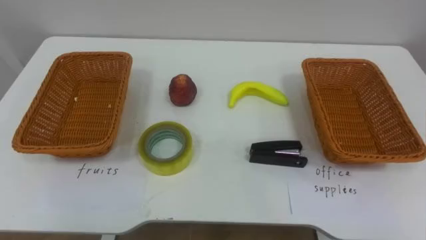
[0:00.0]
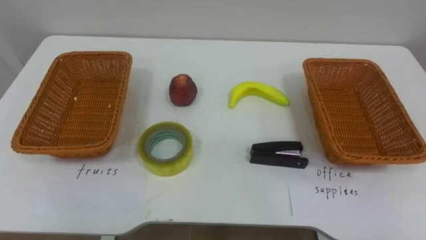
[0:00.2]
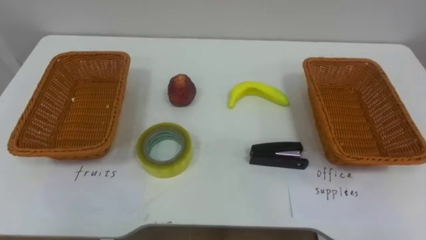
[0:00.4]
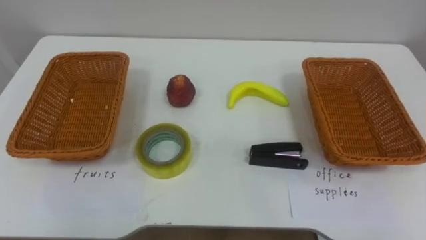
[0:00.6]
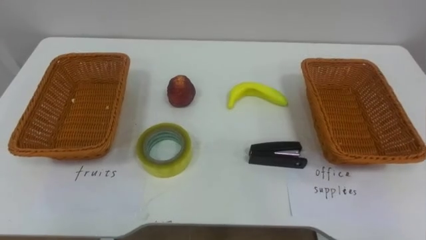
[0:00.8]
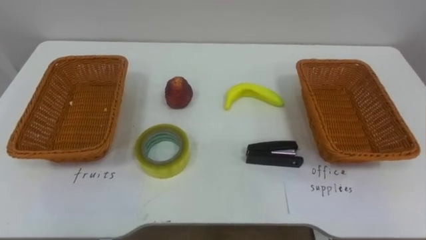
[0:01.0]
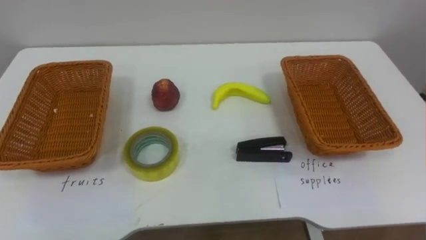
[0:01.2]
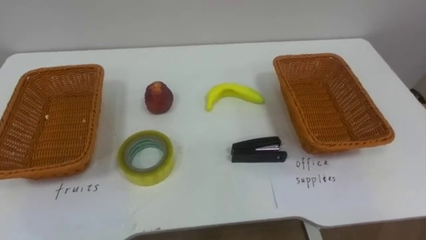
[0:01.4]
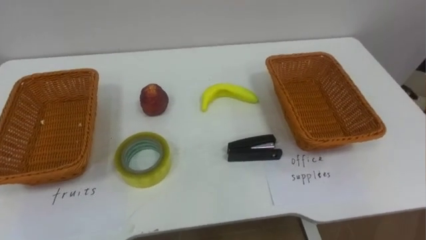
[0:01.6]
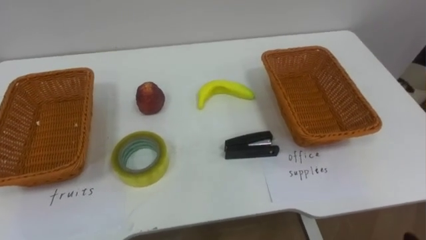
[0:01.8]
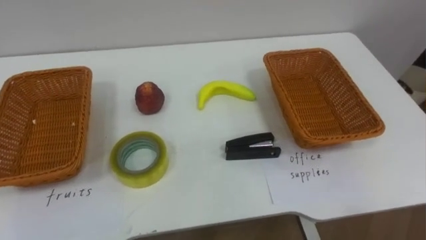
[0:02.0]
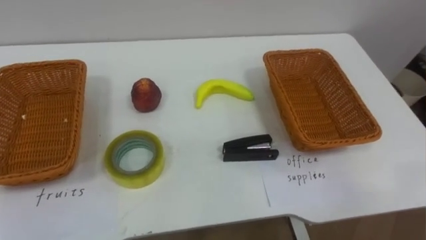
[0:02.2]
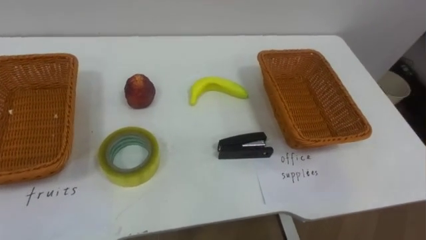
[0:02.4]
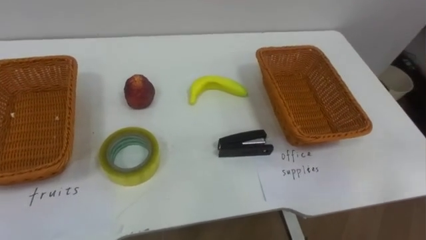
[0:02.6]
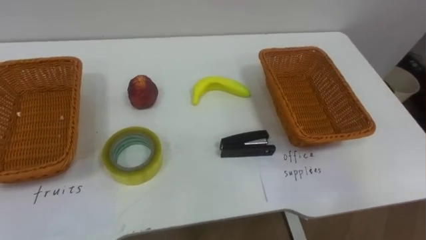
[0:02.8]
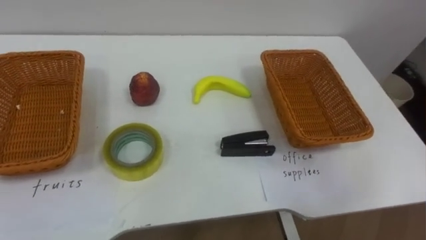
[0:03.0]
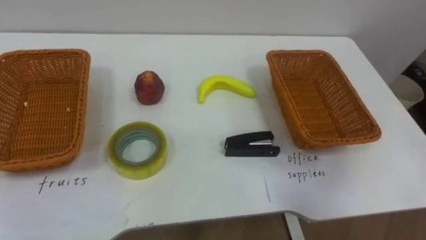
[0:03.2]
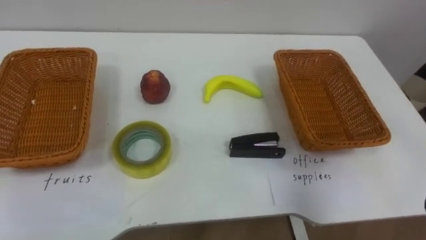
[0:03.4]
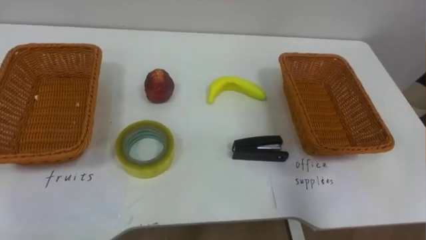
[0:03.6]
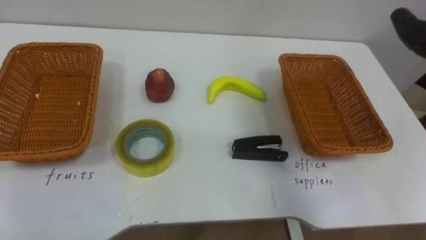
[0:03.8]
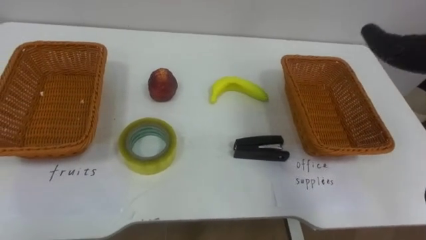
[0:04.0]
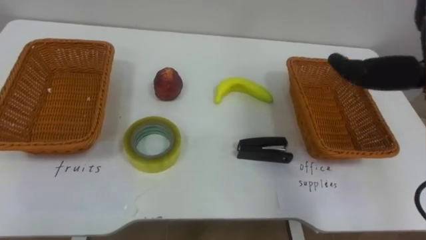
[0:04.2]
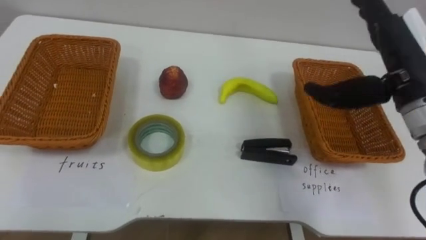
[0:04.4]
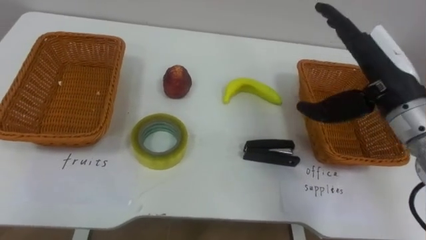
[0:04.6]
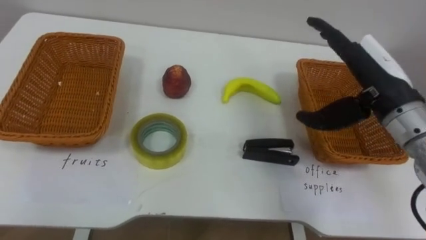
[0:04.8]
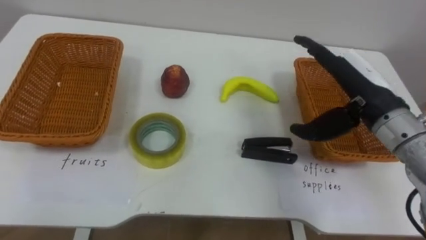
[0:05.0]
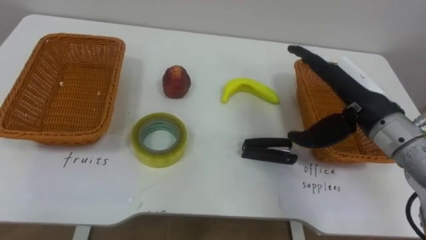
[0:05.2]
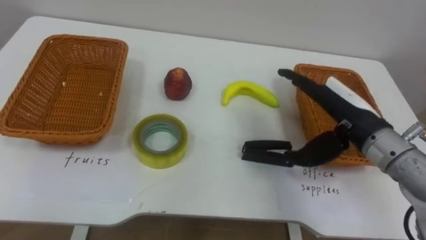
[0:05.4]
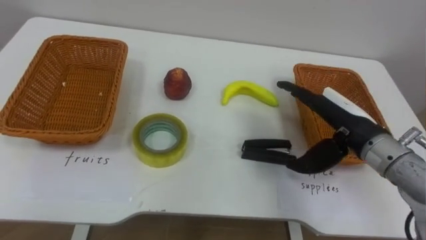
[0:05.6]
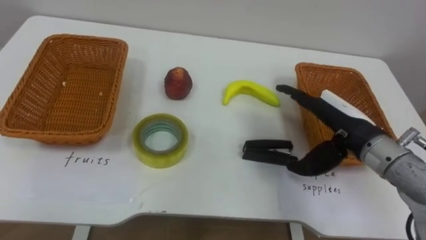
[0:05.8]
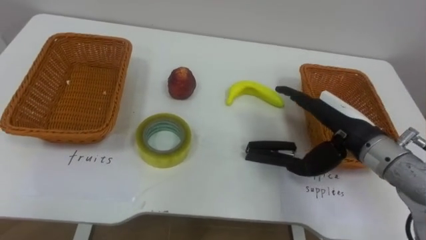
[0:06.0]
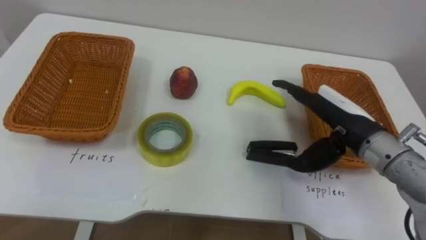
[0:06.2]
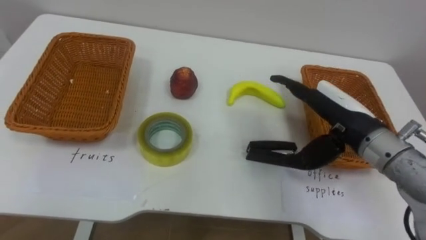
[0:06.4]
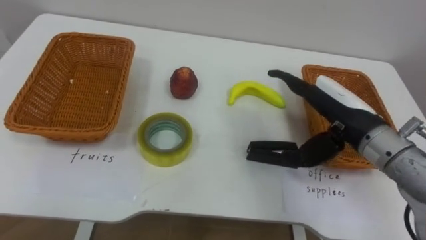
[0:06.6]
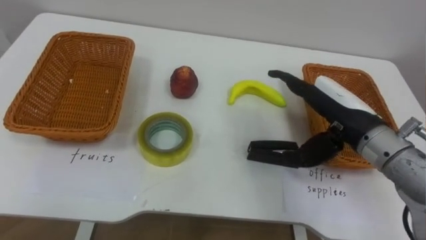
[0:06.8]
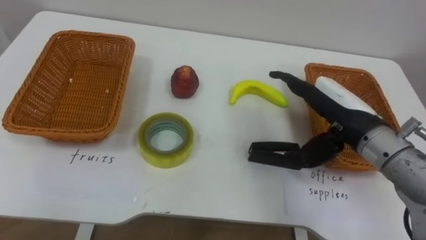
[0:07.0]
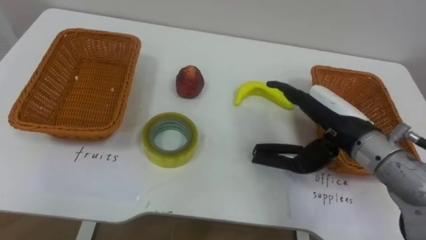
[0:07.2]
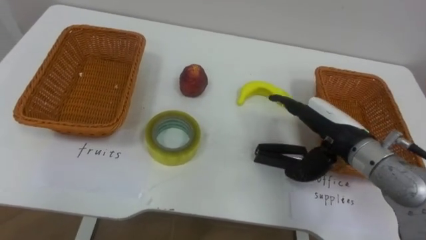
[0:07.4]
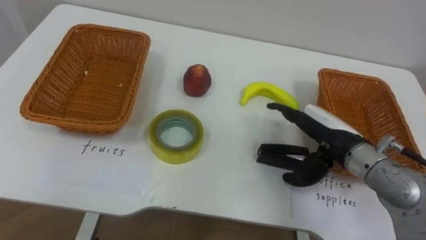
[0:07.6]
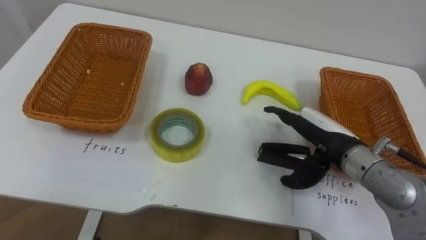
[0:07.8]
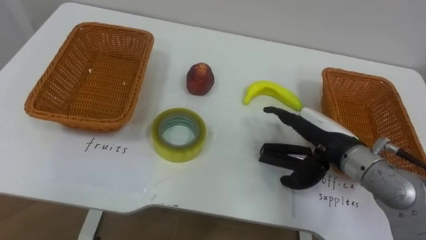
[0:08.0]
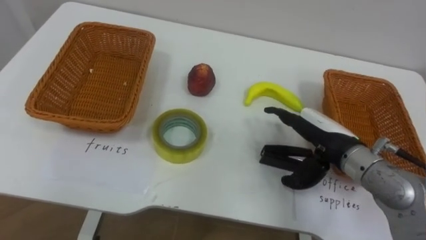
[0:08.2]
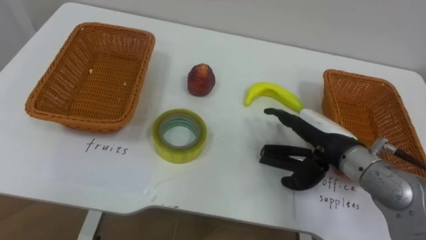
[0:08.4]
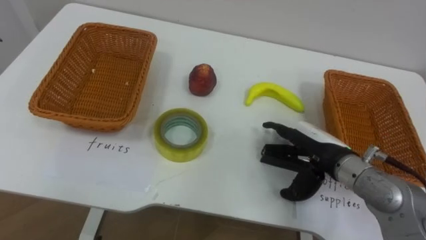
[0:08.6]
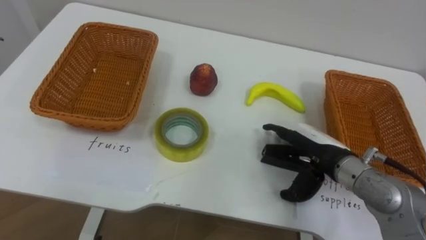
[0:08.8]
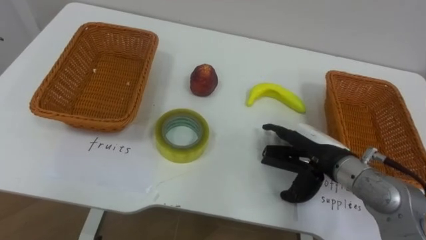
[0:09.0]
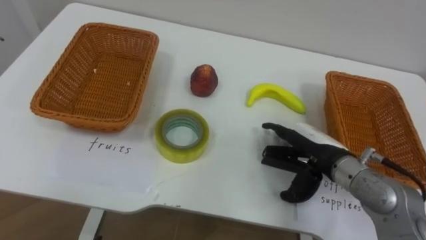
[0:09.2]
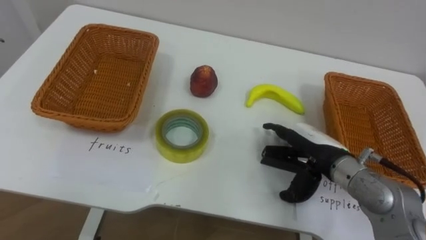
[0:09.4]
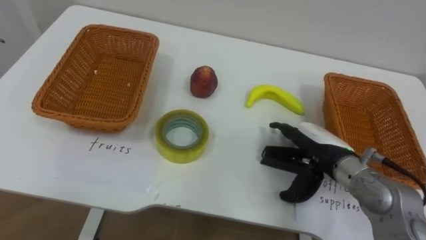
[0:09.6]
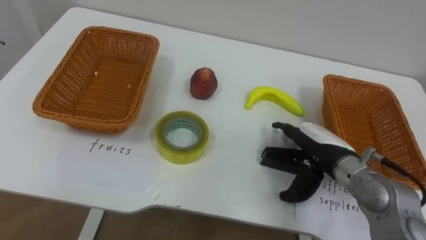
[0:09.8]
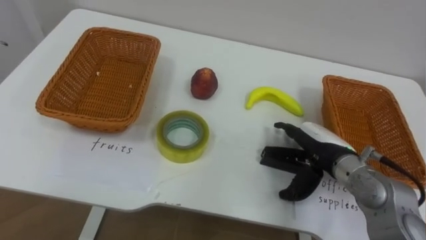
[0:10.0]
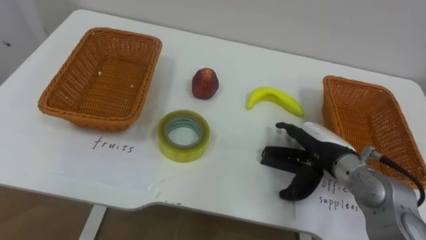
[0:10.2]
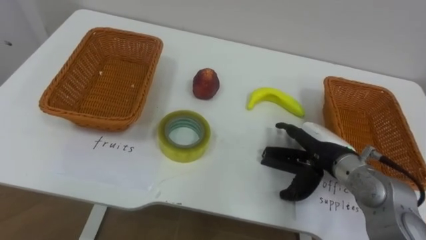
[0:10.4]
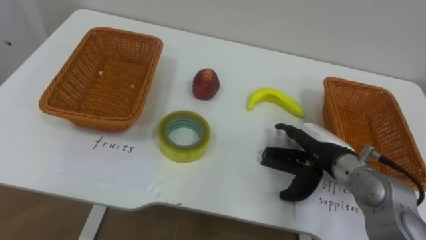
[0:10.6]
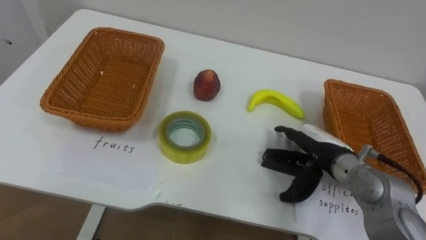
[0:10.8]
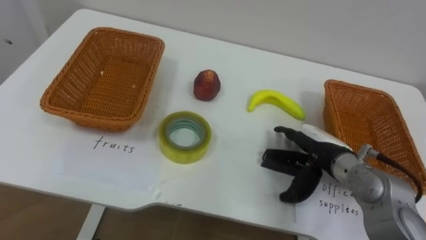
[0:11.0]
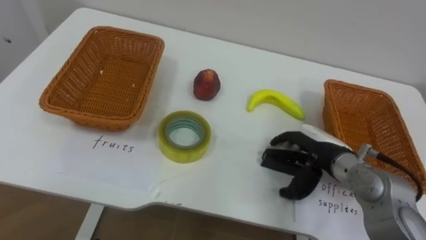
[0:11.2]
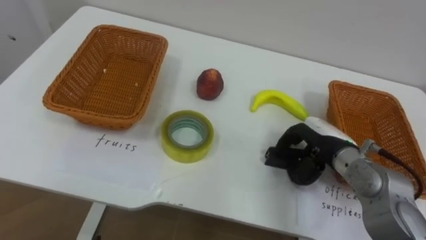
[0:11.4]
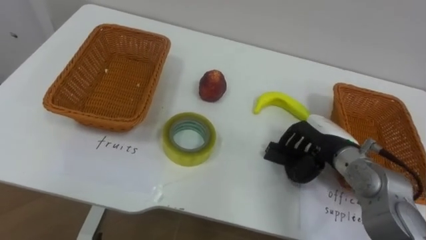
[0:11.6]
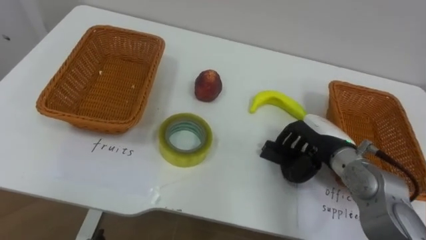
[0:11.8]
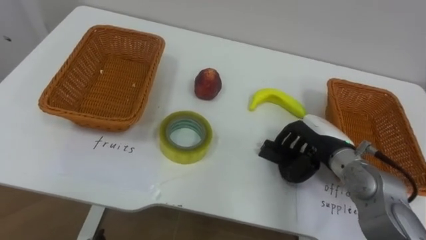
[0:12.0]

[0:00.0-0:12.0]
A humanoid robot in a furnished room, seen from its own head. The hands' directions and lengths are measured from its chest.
Task of the whole recording: Separate the items on the table and place them into the two baskets.
0:04.4 to 0:06.0: The right hand heads downward, covering approximately 10 cm.
0:10.4 to 0:12.0: The right hand closes up.

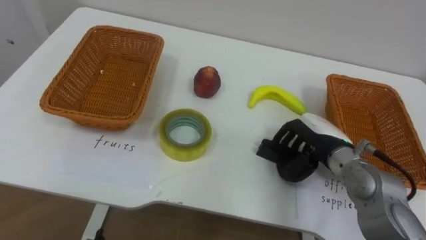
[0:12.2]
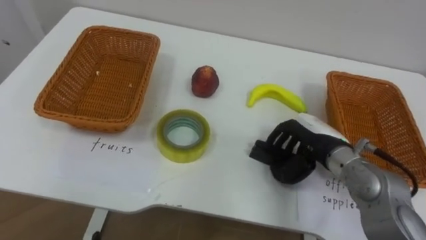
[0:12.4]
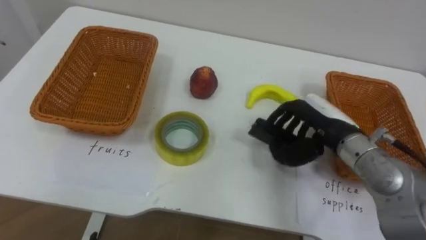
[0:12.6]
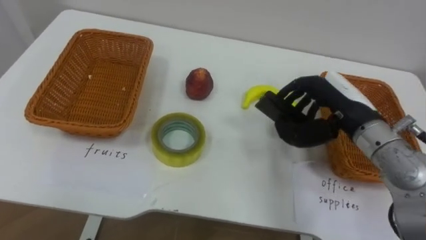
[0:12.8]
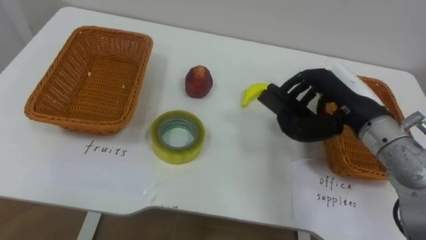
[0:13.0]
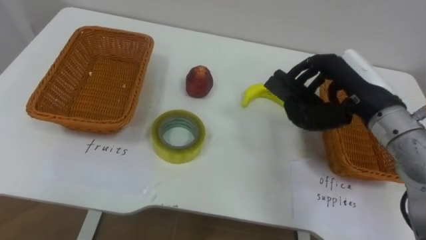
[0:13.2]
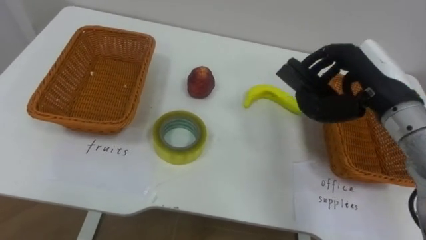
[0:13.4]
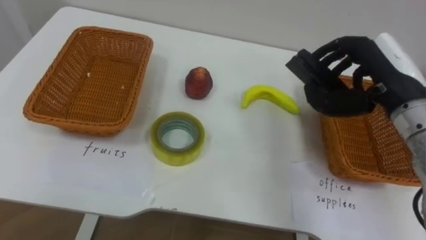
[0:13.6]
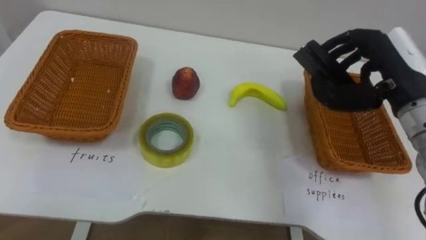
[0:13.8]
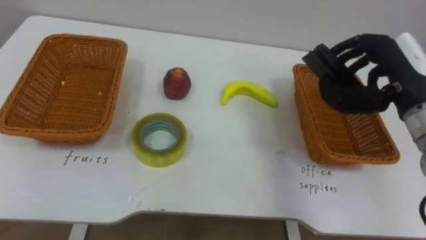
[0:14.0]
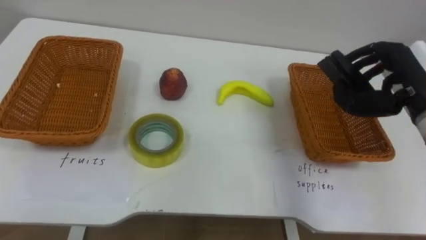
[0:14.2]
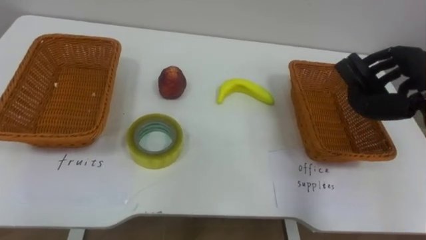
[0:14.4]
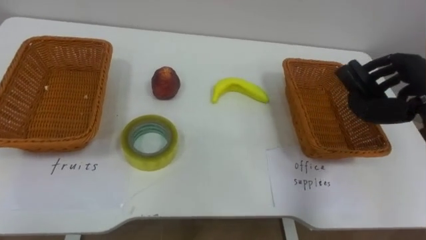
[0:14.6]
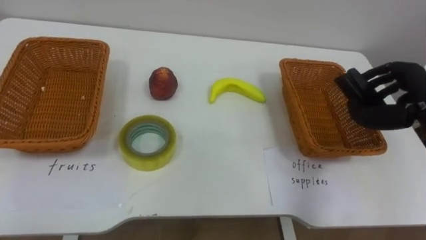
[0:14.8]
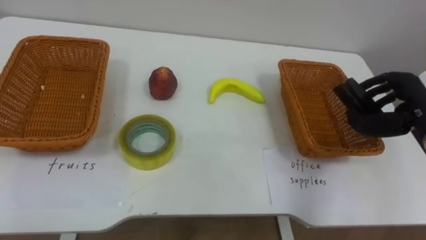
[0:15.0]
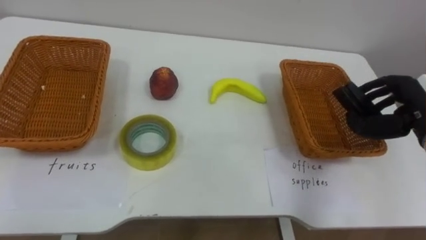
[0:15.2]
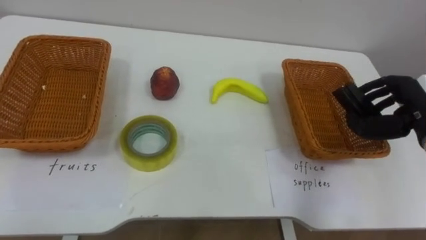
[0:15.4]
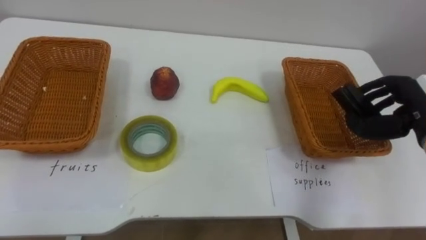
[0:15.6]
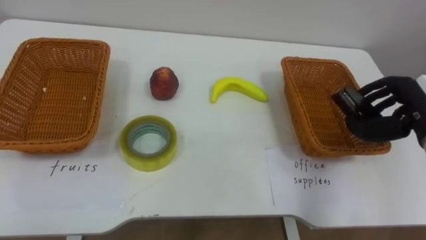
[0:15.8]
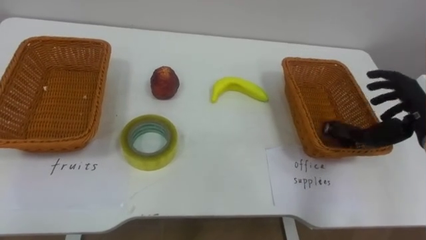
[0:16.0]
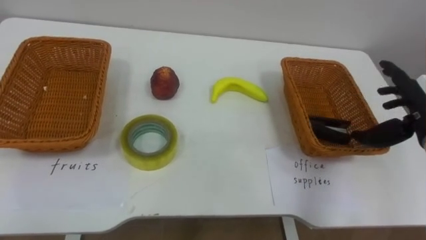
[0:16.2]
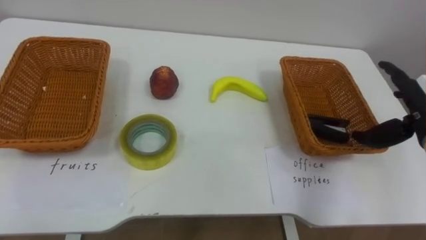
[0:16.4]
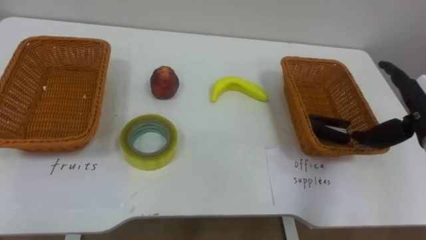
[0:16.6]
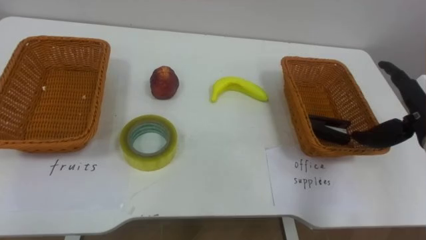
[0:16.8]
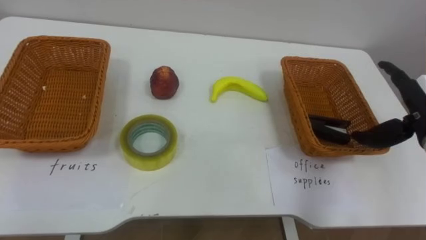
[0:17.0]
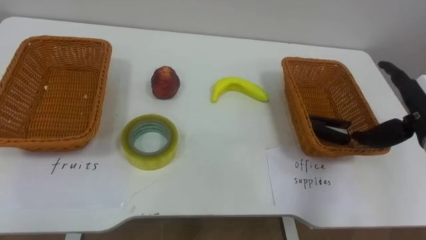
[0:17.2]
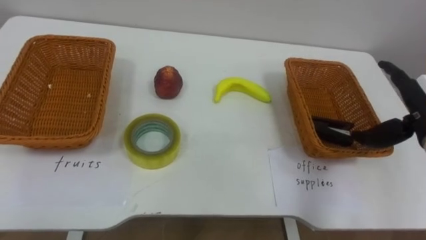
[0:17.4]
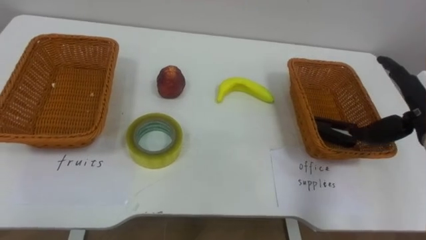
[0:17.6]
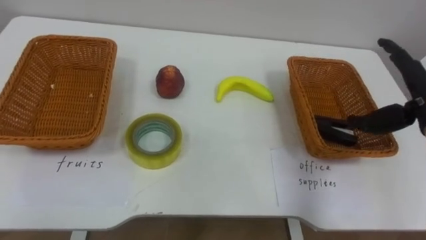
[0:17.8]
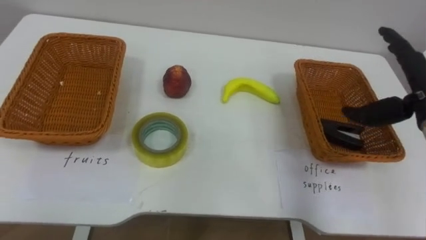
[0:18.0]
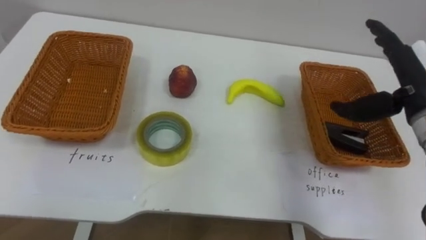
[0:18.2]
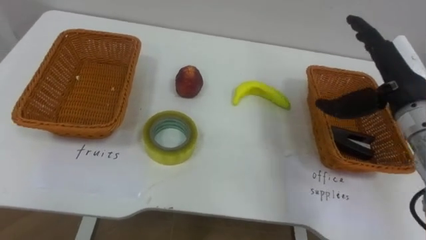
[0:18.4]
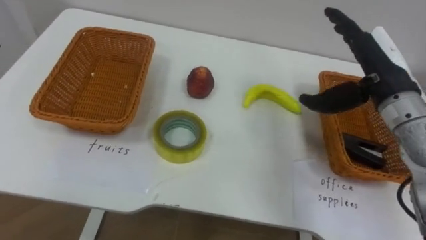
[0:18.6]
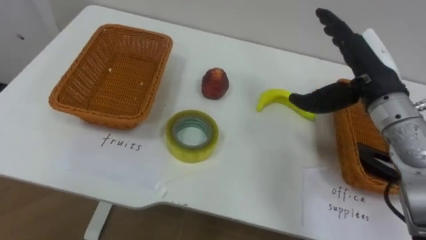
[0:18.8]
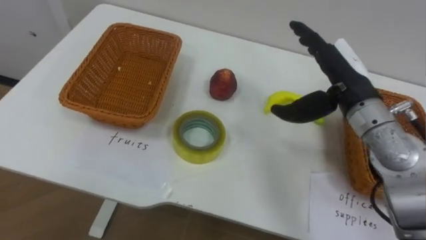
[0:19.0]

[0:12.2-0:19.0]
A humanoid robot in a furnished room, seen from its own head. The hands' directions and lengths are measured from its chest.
Task of the whole recording: Separate the items on the table and place them into the two baskets.
0:12.2 to 0:13.6: The right hand heads upward, covering some 15 cm.
0:13.6 to 0:15.0: The right hand is displaced to the right and downward by about 10 cm.
0:15.0 to 0:16.2: The right hand opens its fingers.
0:17.6 to 0:19.0: The right hand goes approximately 15 cm to the left.
